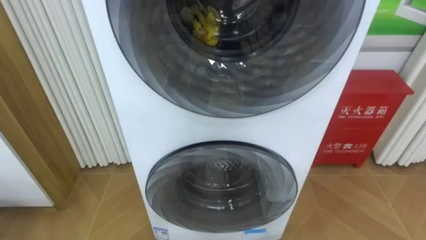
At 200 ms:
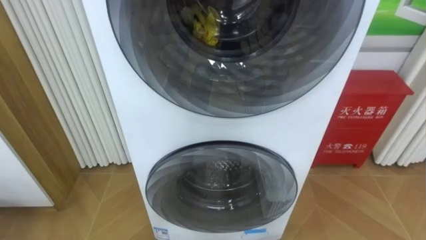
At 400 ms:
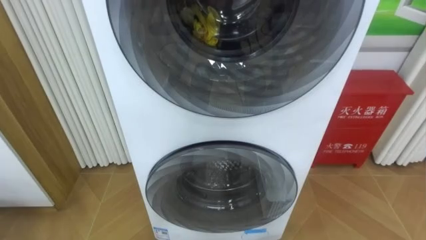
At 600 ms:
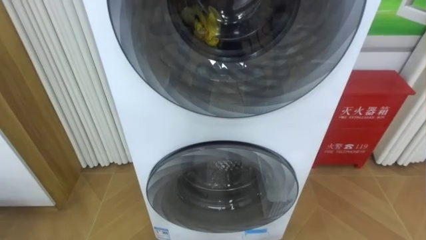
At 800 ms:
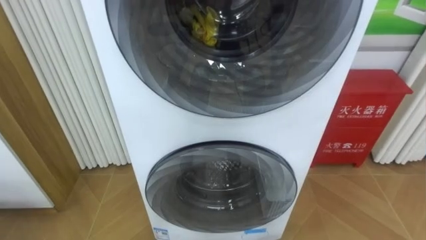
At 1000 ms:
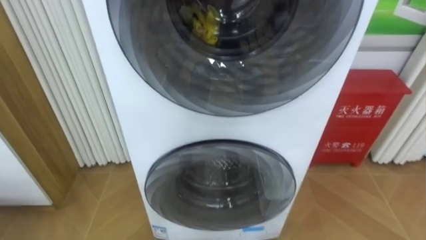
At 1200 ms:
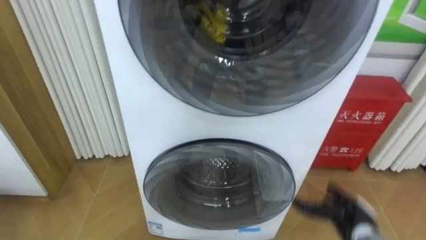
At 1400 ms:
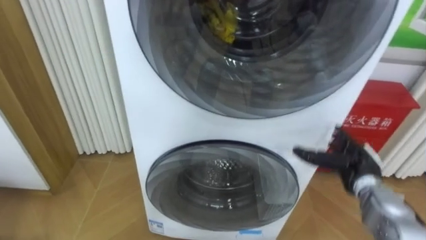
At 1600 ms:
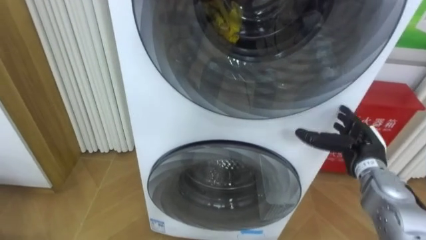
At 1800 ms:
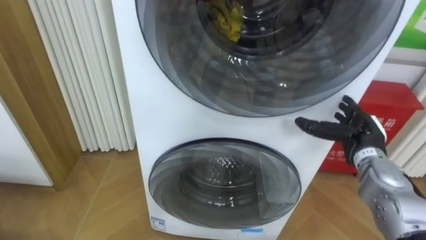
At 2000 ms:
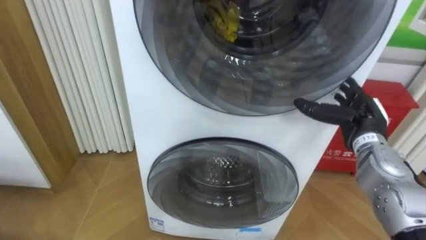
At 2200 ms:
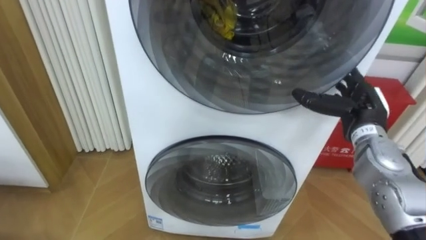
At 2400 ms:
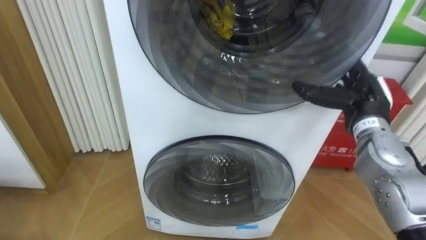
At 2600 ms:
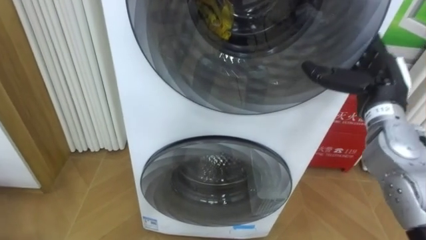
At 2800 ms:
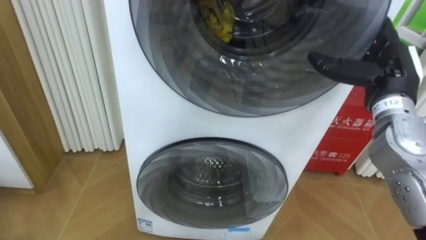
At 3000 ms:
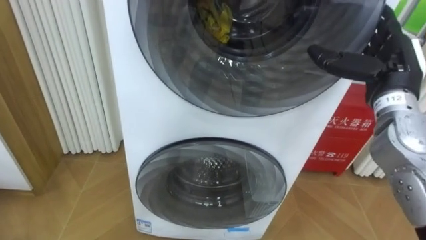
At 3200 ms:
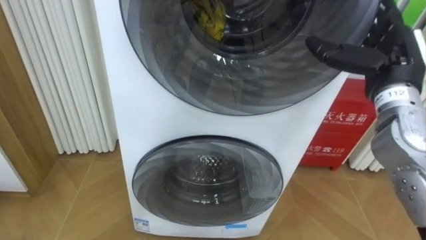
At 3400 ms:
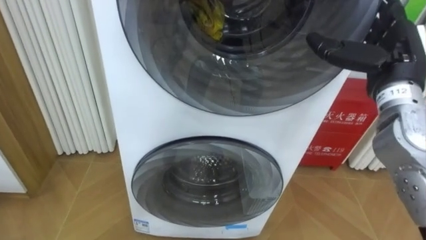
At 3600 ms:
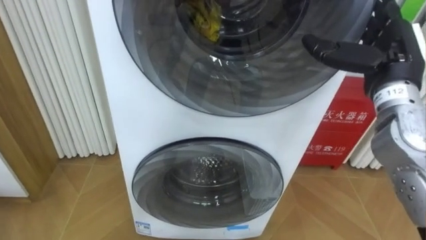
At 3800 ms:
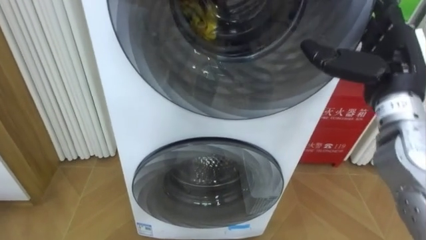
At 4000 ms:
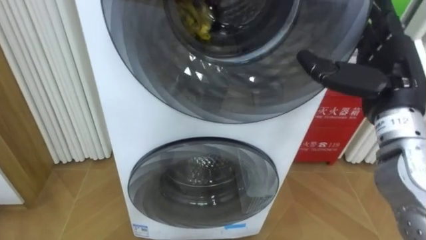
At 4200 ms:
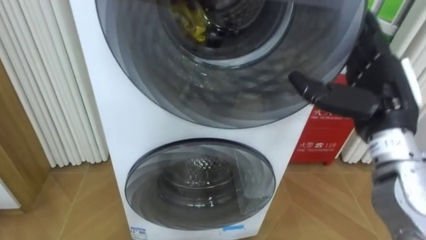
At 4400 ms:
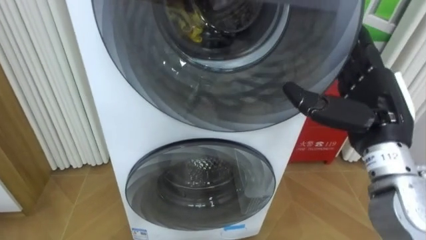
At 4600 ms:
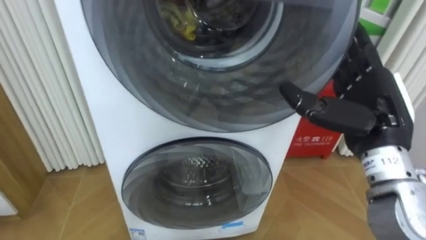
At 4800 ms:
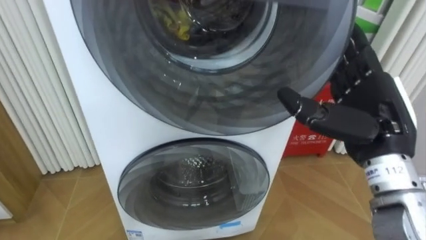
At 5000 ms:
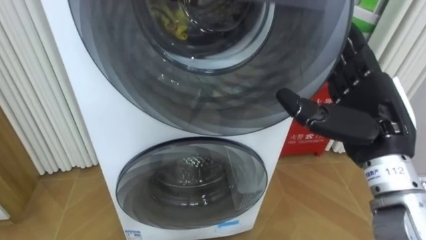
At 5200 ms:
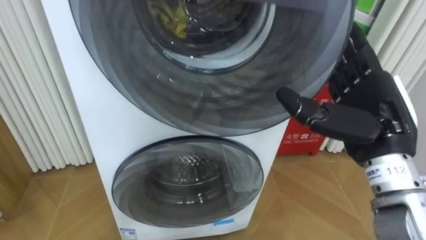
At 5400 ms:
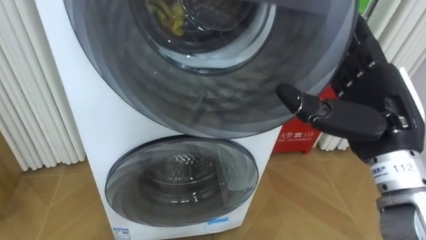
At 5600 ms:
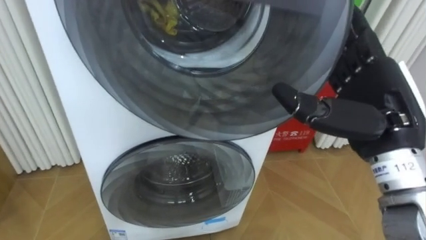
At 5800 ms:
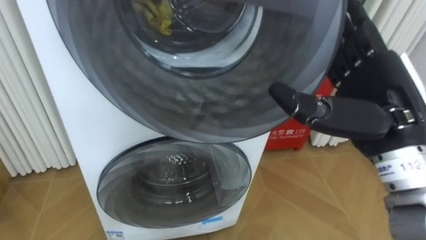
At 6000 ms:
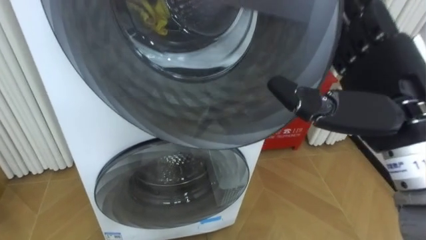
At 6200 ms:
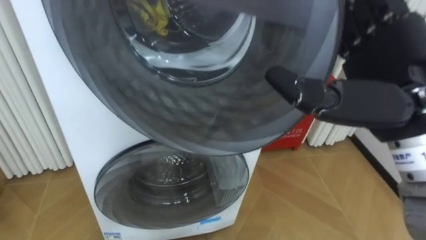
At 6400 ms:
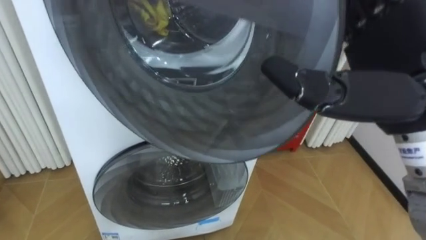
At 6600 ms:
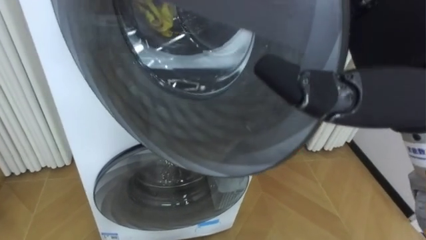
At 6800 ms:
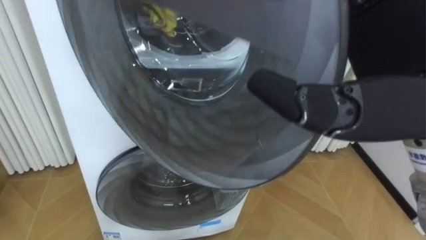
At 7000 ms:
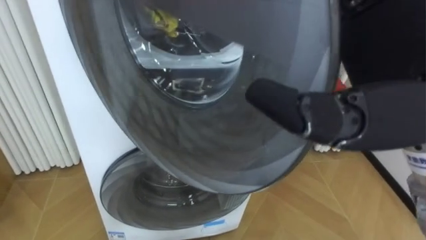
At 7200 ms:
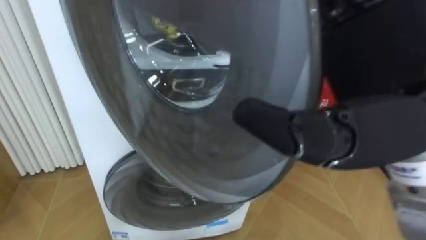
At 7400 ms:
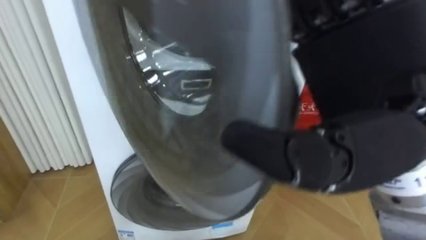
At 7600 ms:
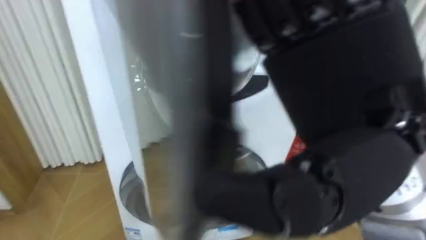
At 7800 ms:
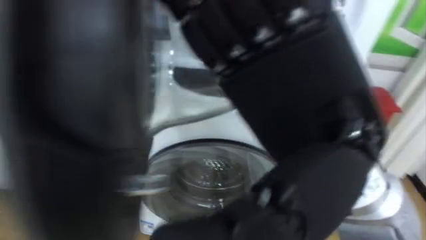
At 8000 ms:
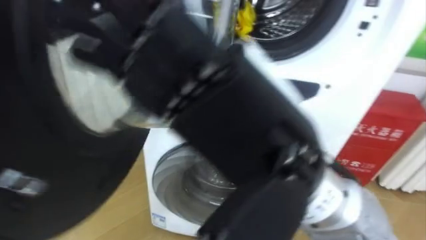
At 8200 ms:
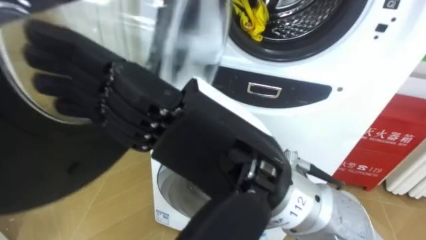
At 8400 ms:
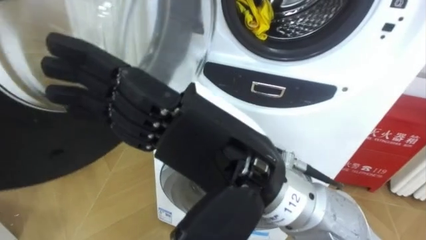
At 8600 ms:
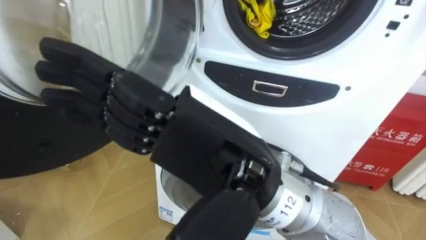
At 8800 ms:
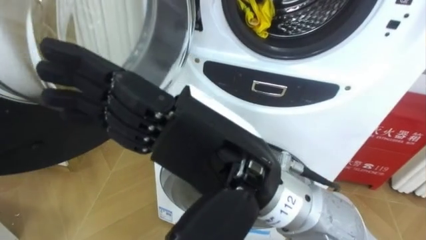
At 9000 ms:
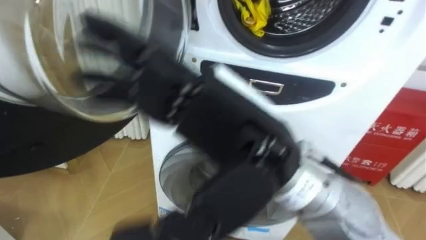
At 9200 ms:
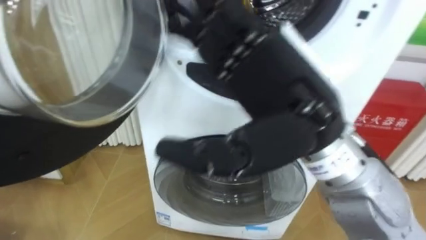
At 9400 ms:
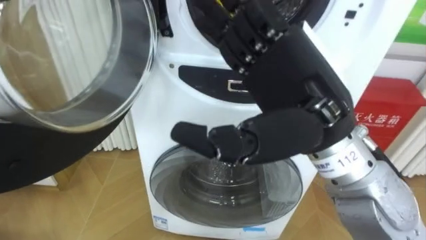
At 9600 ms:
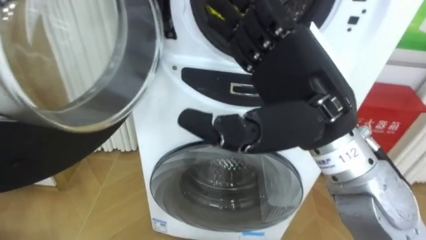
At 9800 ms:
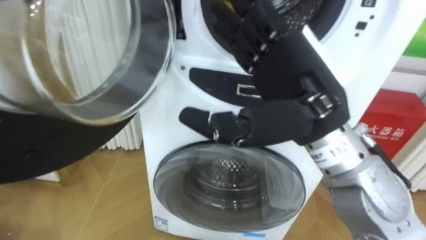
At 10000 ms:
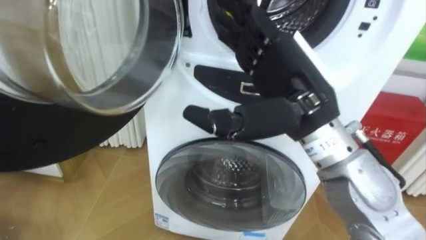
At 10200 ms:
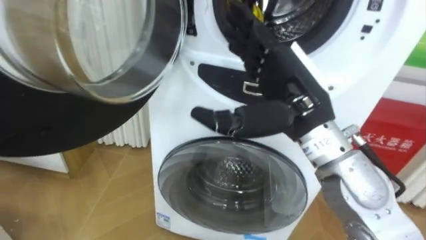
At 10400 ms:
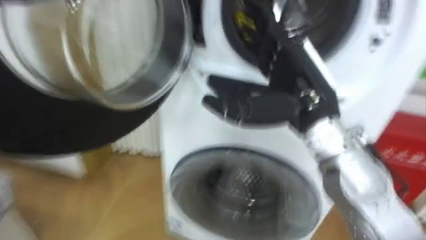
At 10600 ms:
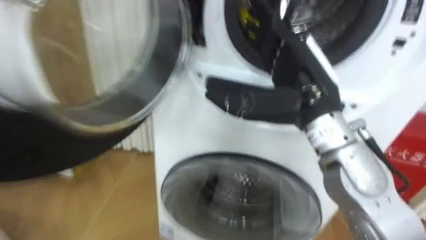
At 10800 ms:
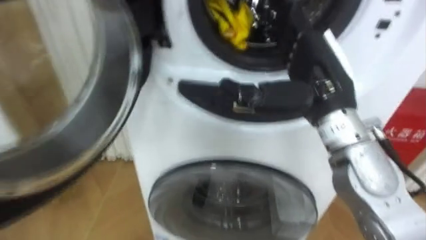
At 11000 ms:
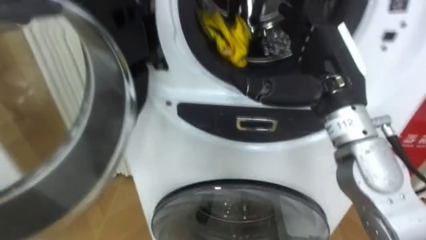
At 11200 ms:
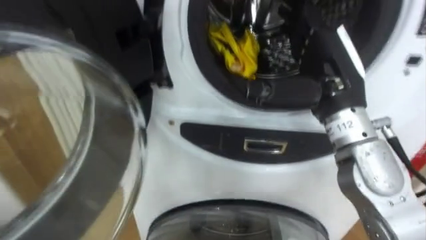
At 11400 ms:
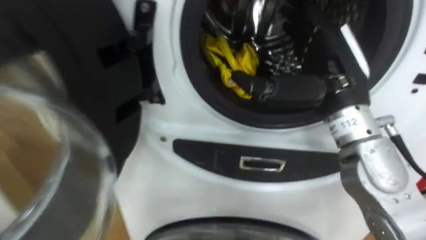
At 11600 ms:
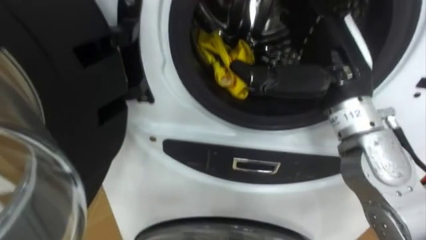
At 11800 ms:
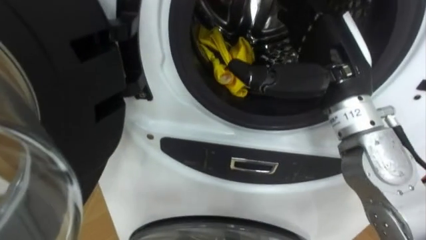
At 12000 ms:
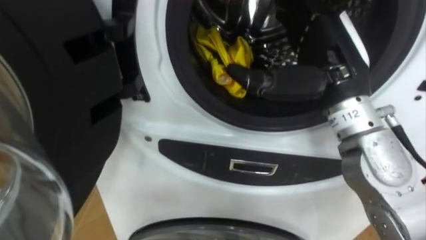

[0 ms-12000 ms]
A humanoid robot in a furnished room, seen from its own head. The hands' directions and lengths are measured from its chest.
Task of the whole recording: Open the washing machine door, take out the yellow clothes, place them in the box on the right, and close the washing machine door.
1600 ms to 3000 ms: The right hand is displaced upward by approximately 15 cm.
3000 ms to 4400 ms: The right hand travels backward by some 5 cm.
4400 ms to 6000 ms: The right hand goes roughly 10 cm upward and backward.
6000 ms to 7600 ms: The right hand is displaced to the left, backward and upward by roughly 15 cm.
7600 ms to 9000 ms: The right hand travels to the left and downward by roughly 10 cm.
9000 ms to 10400 ms: The right hand shifts approximately 15 cm forward and to the right.

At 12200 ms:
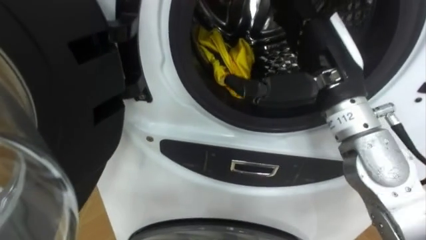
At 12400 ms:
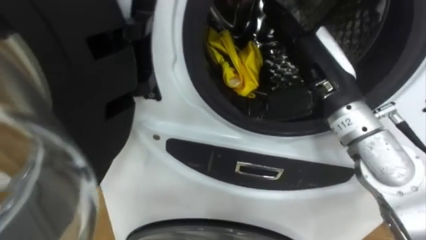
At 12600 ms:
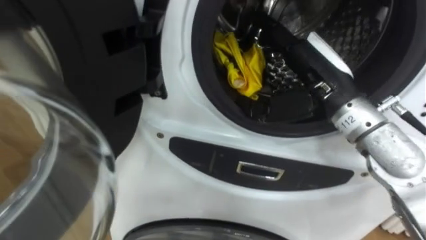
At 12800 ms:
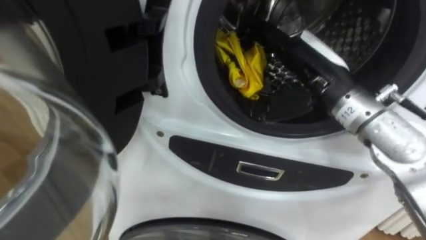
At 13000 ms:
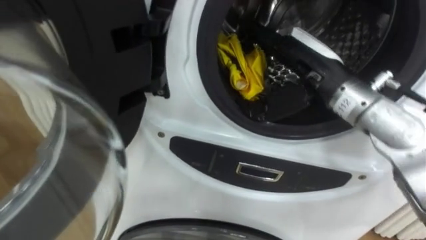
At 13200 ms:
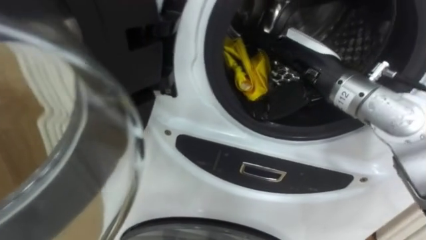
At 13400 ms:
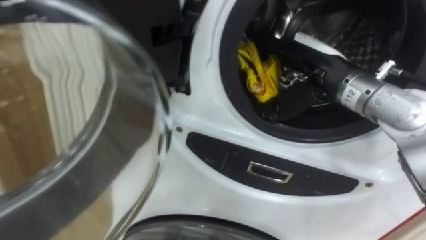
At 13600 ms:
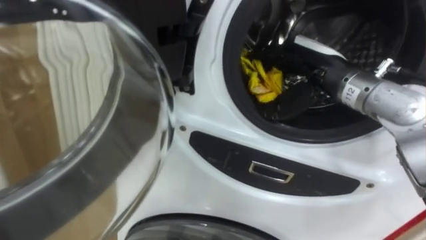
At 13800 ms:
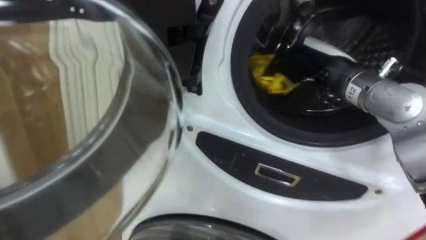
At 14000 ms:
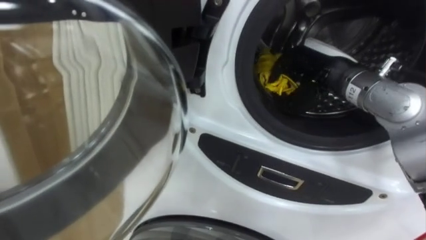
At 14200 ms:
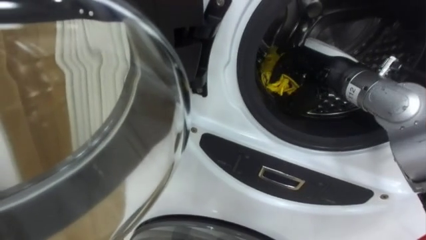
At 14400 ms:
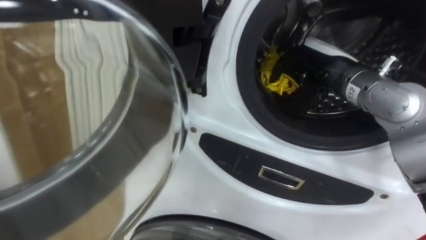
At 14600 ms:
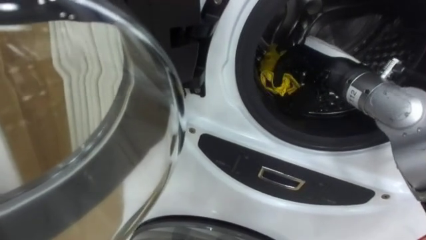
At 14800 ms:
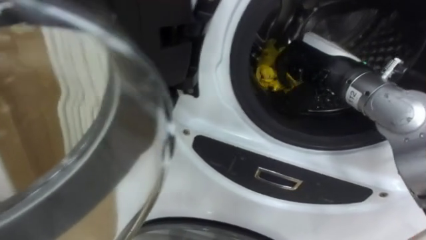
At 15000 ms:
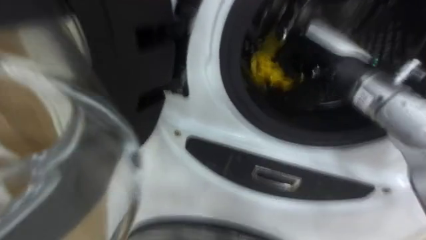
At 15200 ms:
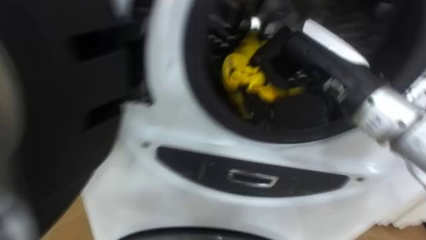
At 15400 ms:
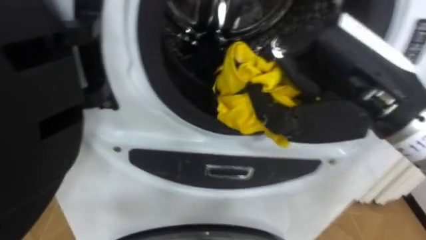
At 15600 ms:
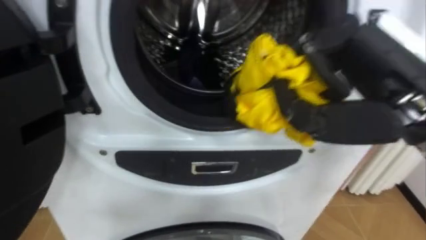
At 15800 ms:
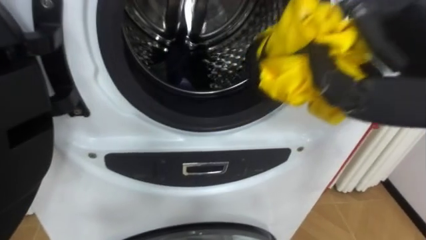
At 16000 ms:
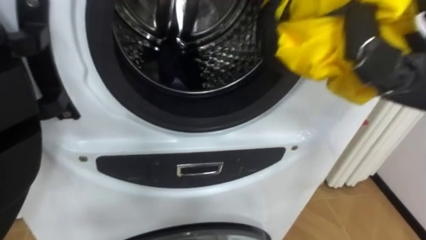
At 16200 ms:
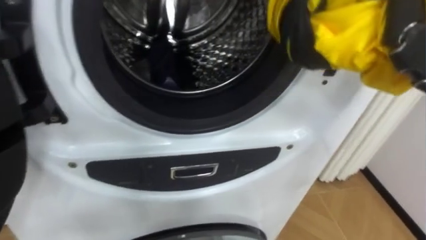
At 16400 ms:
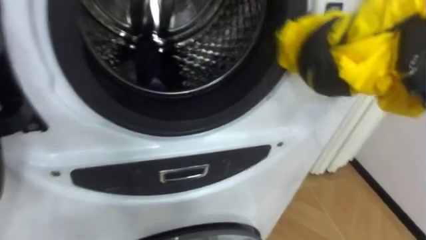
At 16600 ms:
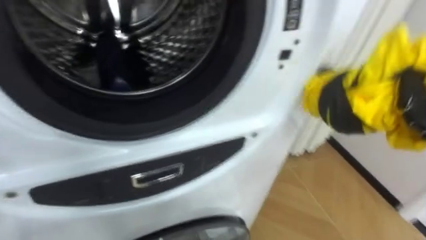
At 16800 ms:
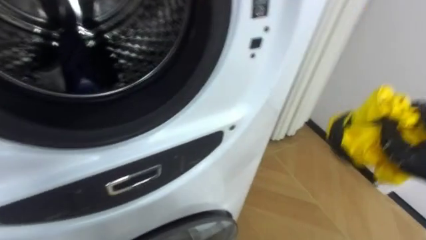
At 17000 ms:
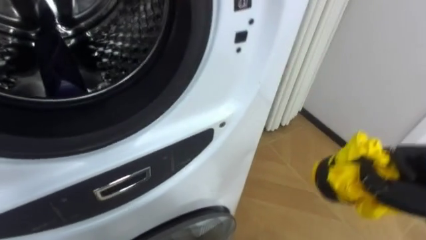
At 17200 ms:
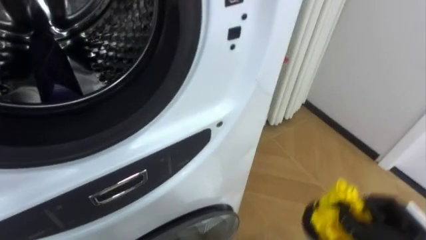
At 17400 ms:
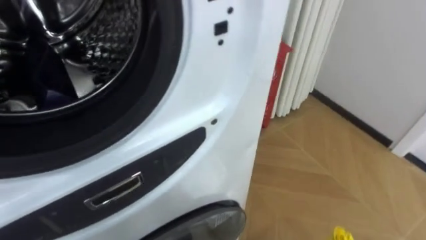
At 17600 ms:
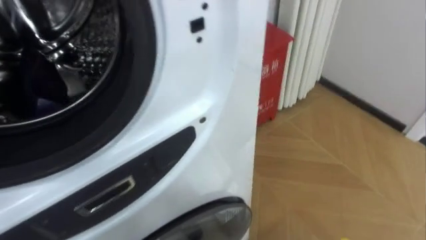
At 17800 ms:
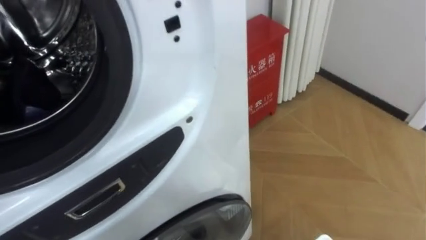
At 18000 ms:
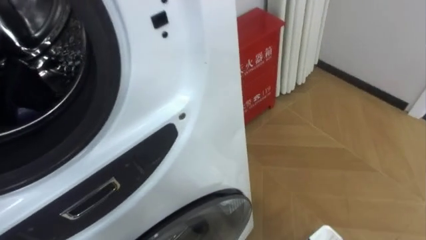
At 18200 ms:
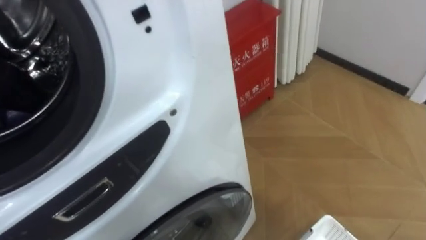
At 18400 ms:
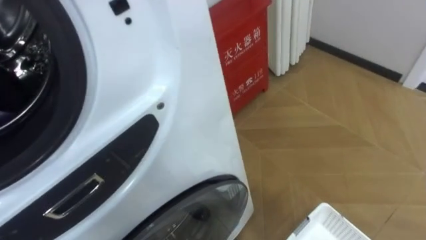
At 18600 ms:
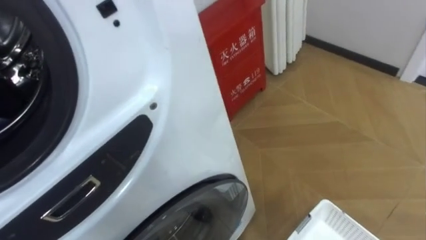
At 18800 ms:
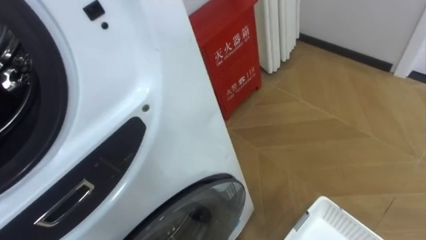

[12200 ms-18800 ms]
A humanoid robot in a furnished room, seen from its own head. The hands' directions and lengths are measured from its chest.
Task of the whole recording: Open the washing machine door, take out the yellow clothes, place them in the box on the right, and close the washing machine door.
12200 ms to 13800 ms: The right hand moves forward and downward, approximately 10 cm, and closes its fingers.
13800 ms to 15400 ms: The right hand moves backward and upward, about 15 cm, and closes.
